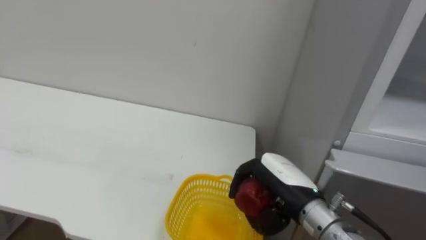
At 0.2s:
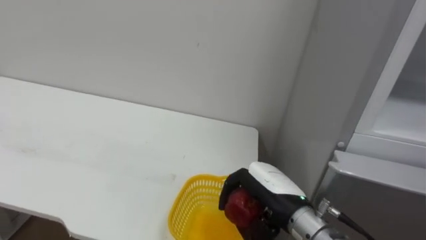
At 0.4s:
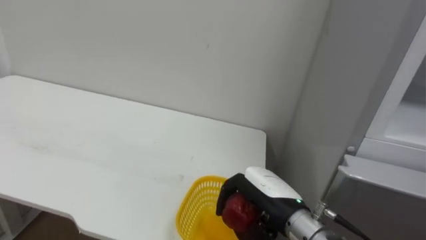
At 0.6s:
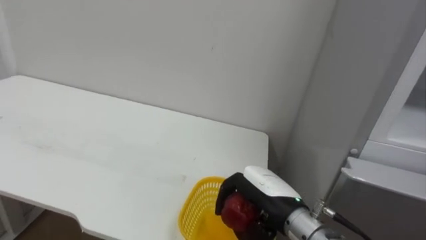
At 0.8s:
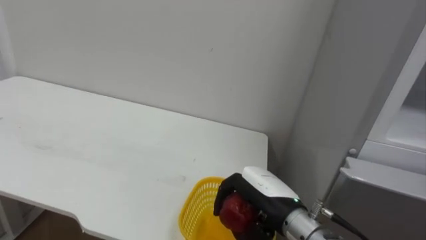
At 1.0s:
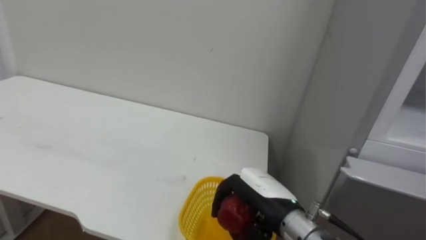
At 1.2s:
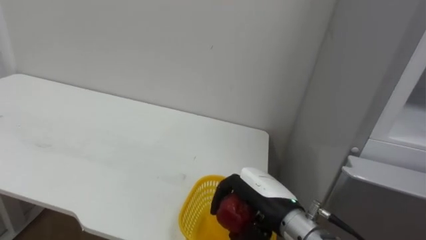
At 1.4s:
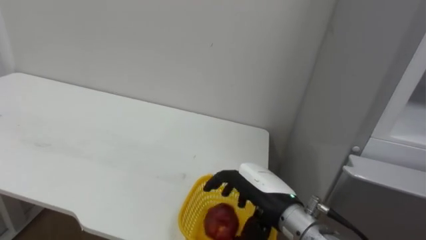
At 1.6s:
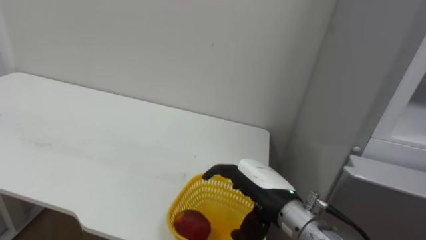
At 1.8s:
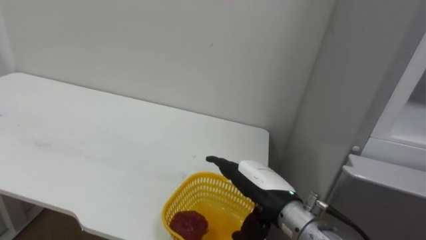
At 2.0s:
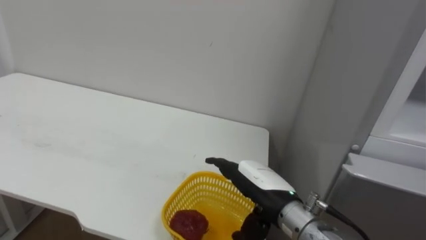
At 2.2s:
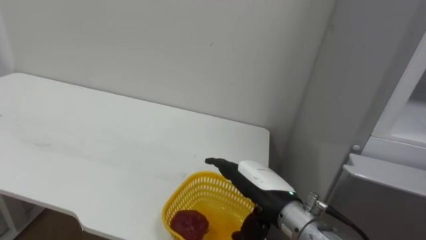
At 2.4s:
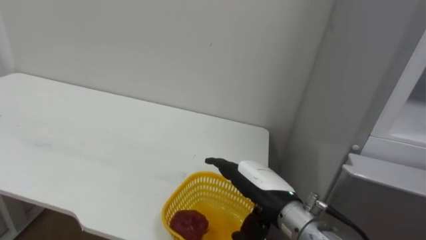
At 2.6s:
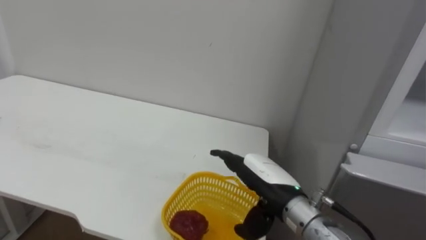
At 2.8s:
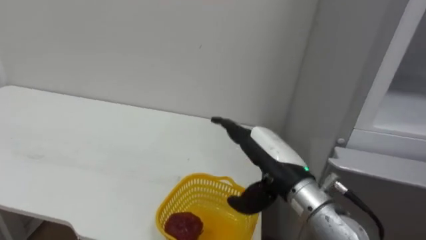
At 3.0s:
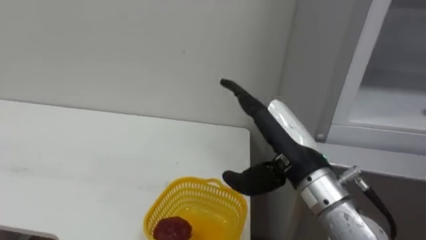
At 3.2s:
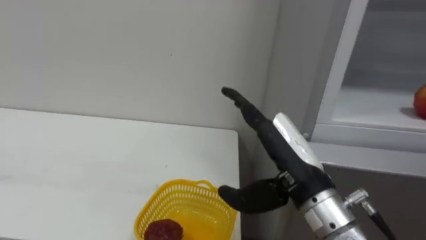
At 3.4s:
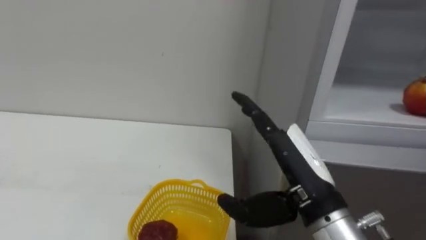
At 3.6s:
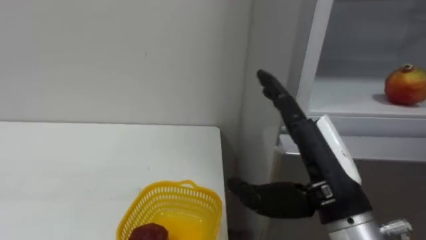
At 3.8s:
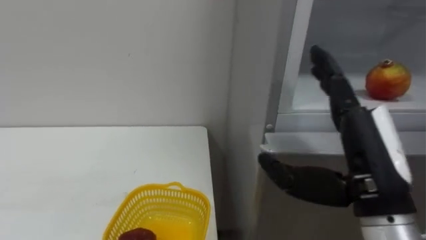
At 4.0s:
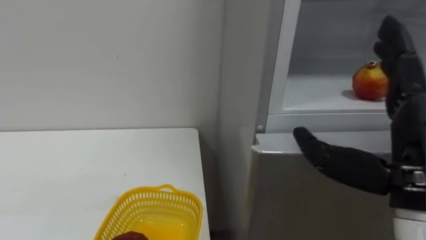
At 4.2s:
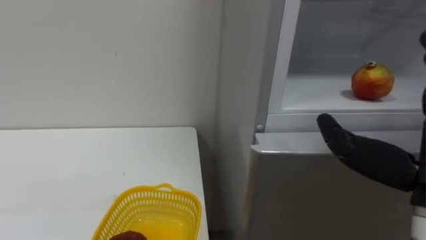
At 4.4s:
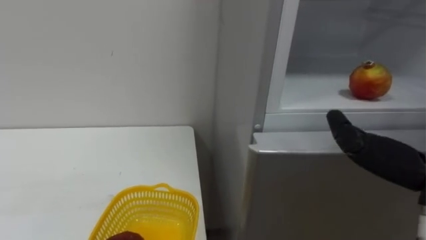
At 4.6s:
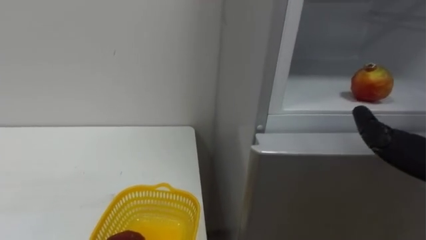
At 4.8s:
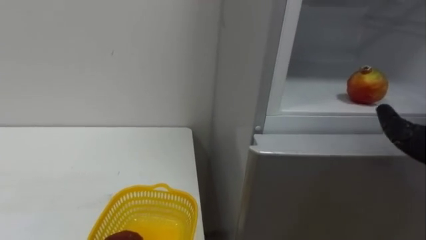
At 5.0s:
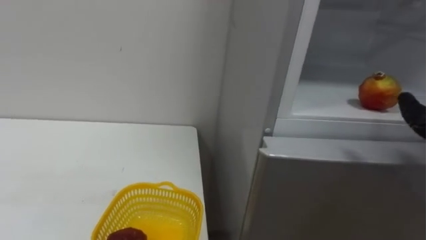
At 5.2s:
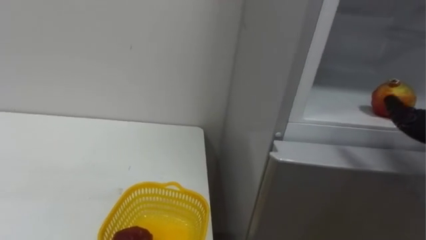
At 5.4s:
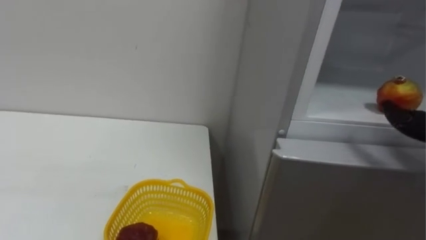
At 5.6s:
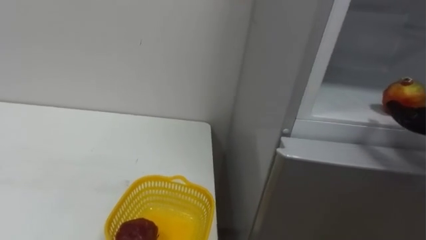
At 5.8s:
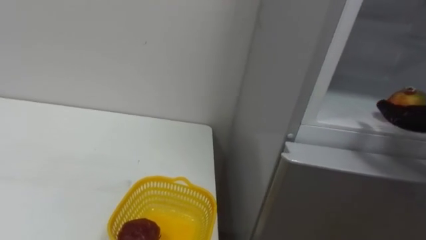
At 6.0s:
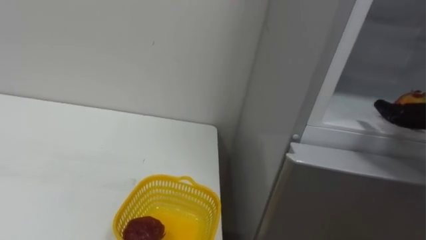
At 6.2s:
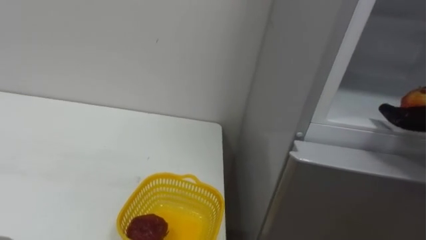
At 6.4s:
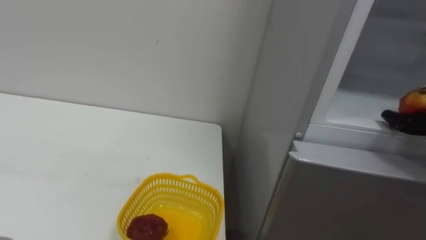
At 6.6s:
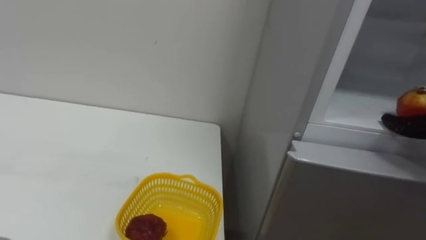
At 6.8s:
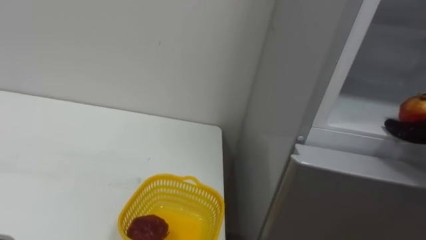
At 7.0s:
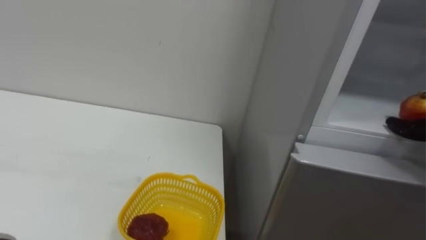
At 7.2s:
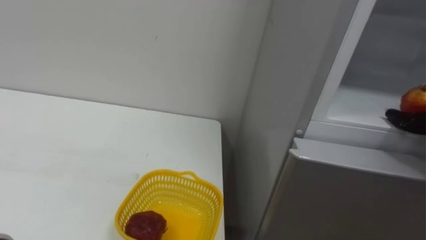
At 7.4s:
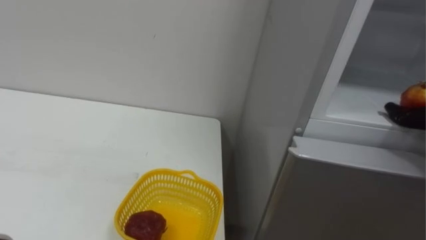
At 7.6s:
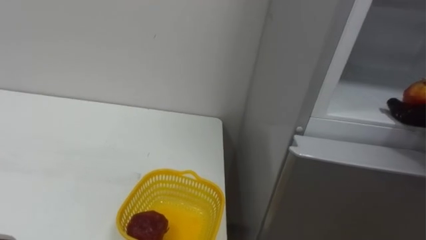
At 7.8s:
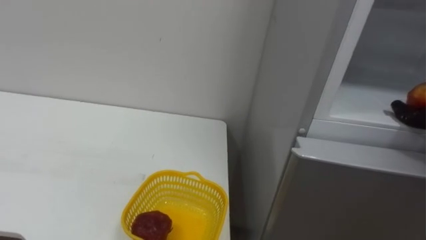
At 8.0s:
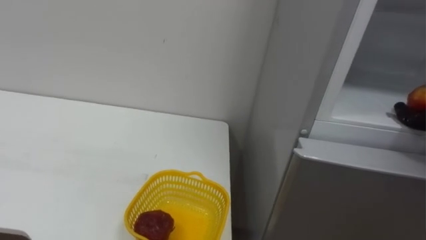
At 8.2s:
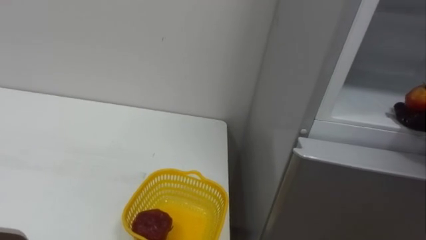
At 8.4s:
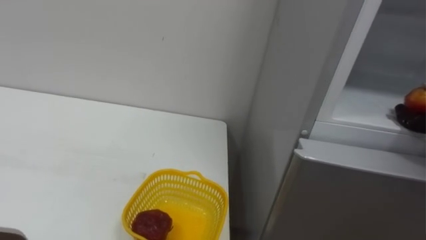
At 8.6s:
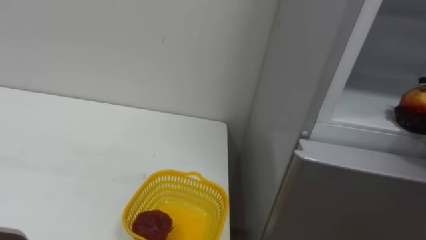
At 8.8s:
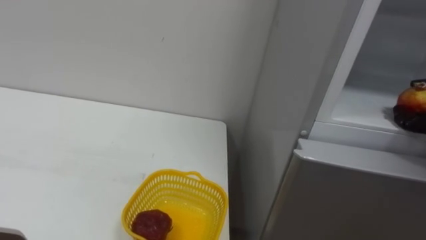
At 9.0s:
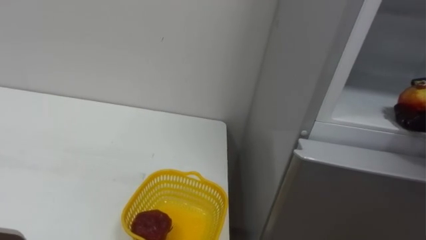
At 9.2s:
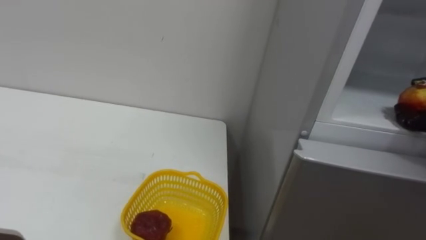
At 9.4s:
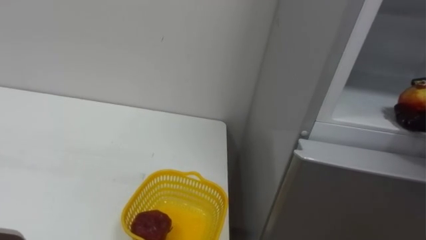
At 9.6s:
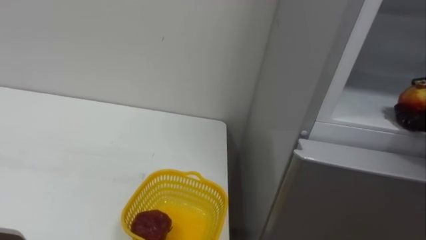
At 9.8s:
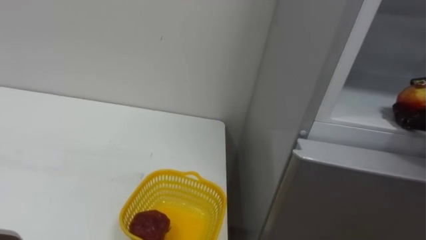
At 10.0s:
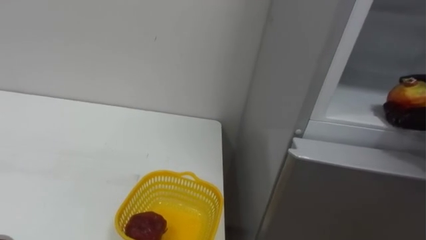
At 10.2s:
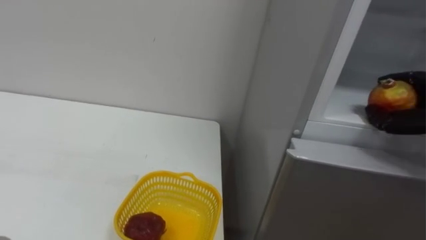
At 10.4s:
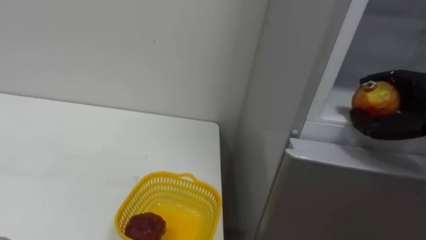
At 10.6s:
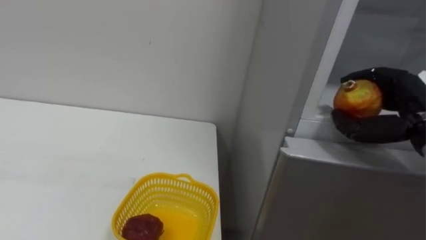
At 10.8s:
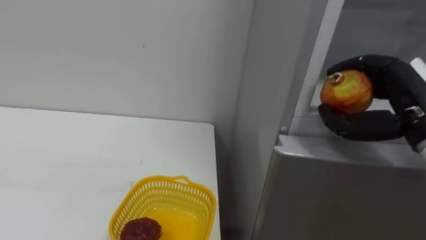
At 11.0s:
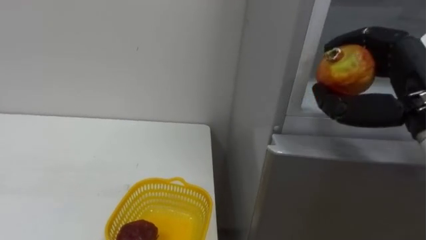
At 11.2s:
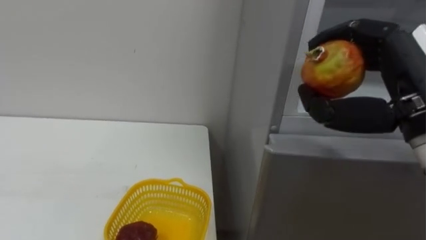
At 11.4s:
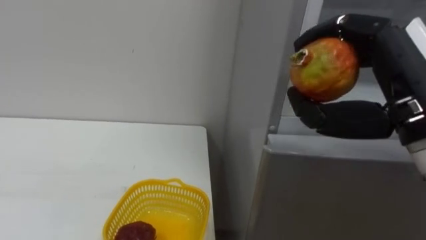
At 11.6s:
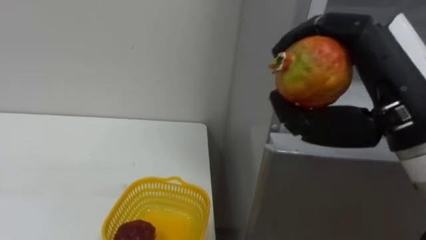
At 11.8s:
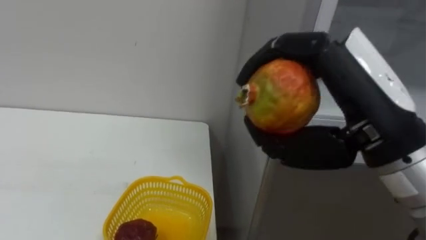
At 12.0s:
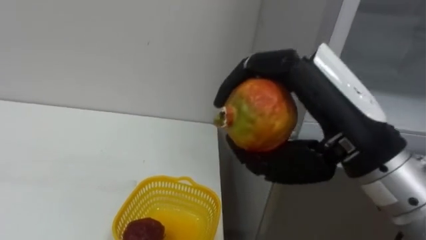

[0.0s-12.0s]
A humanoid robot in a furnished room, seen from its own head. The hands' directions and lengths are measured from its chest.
Task of the whole recording: Open the refrigerator door, take out the apple and the pomegranate, place them in the fruit basket on the left, and close the refrigerator door.
0.0s to 1.6s: The right hand opens up.
1.6s to 3.0s: The right hand moves upward, approximately 10 cm.

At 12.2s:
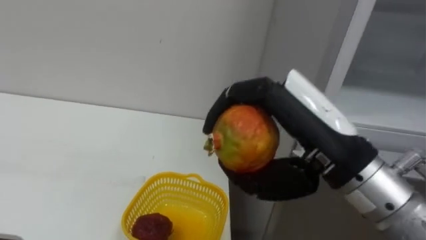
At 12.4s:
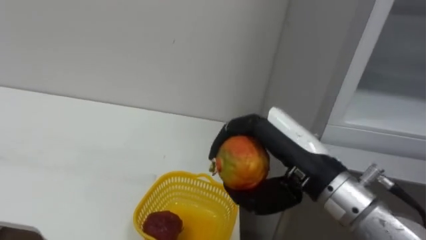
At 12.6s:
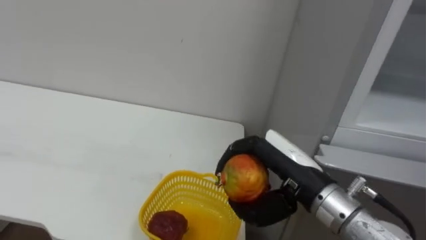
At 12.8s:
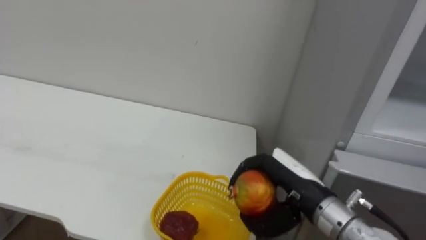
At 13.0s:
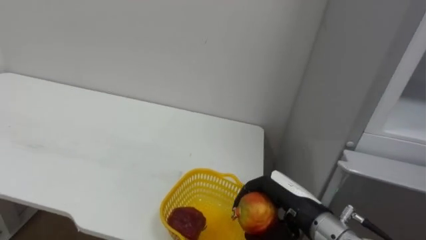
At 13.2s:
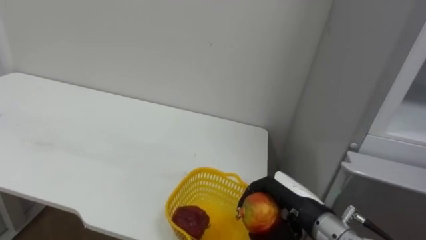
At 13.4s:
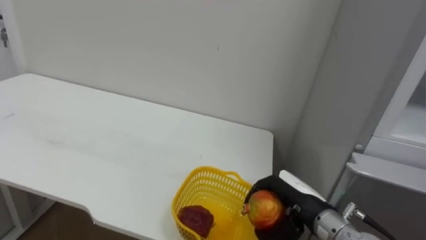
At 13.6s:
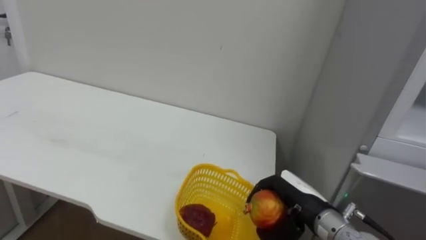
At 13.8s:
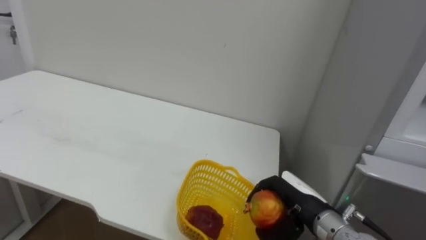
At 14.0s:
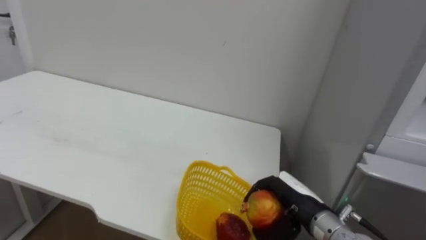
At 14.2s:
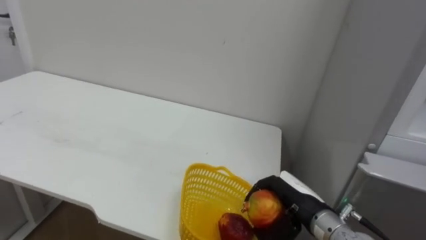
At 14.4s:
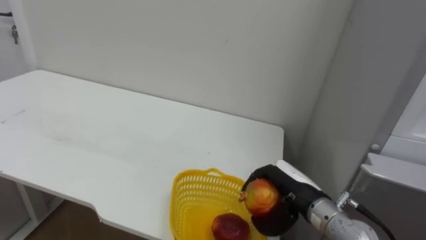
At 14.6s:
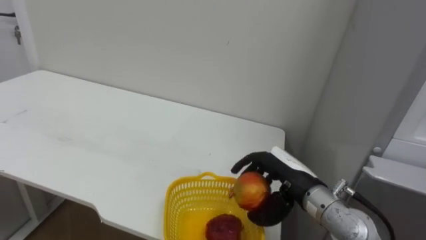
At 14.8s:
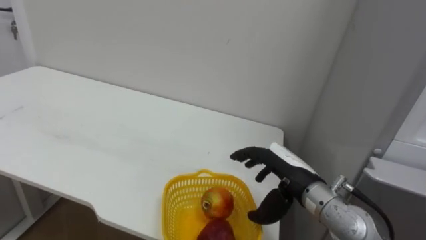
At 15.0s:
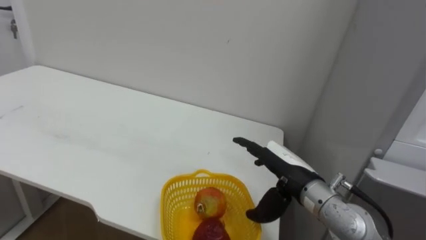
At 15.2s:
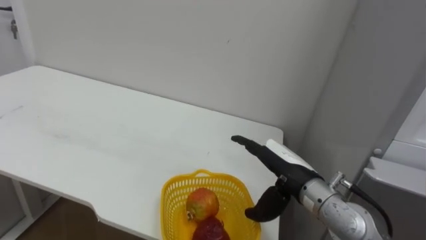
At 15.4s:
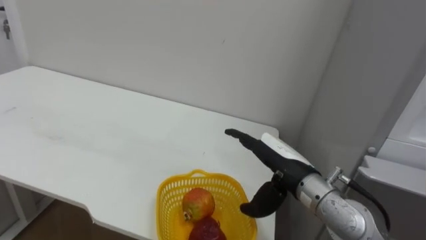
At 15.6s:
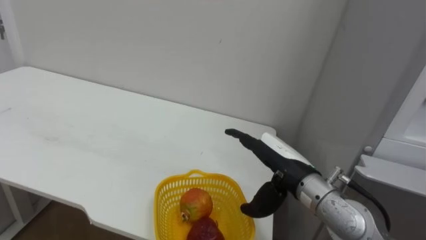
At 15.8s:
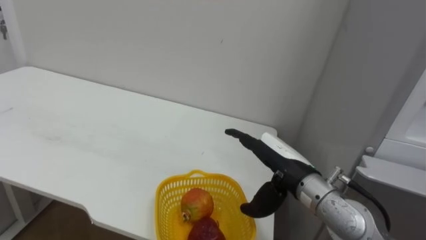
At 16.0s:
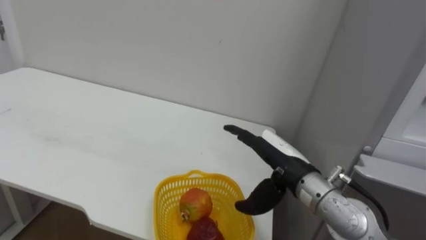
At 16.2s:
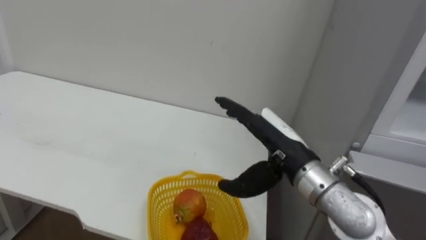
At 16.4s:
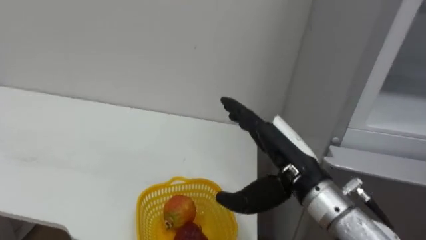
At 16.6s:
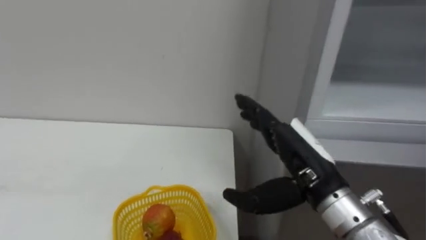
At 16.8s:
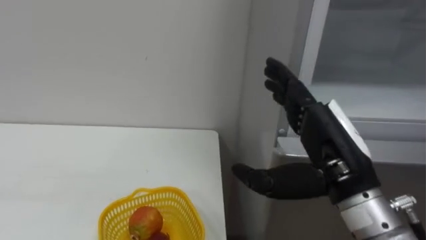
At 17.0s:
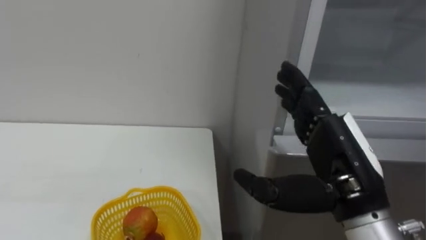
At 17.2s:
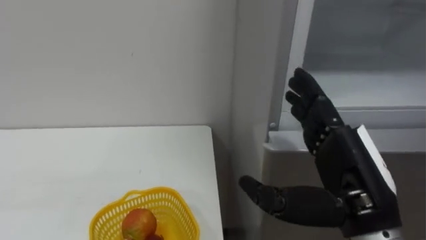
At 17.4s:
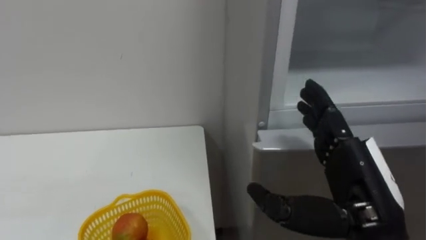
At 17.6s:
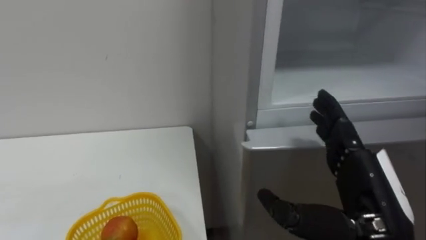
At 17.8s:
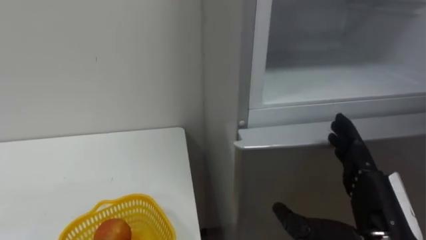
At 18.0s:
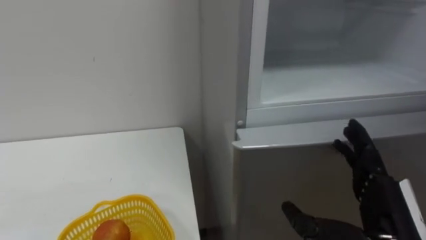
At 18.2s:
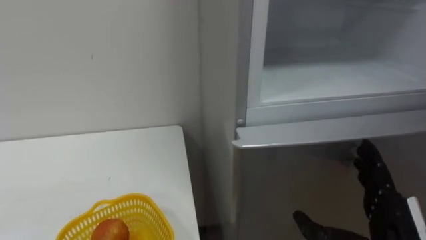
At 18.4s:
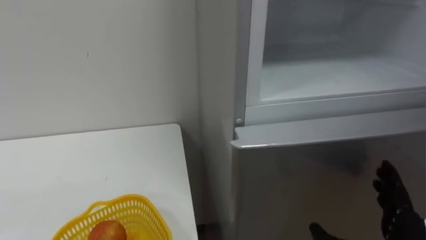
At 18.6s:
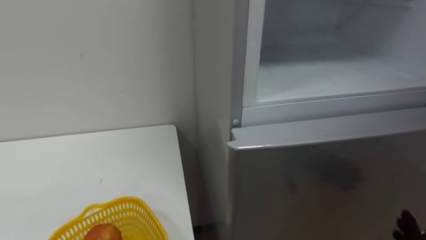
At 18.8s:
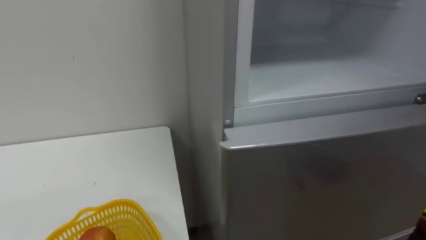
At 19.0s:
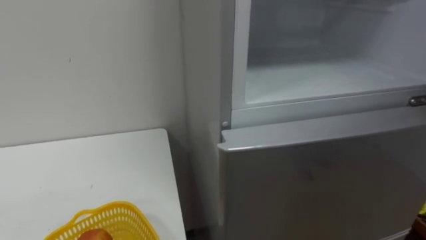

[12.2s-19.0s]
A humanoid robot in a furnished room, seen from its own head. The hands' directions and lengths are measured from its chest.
Task of the whole recording: Open the refrigerator door, take out the apple and the pomegranate, place them in the fruit basket on the left, and close the refrigerator door.
12.2s to 13.6s: The right hand shifts about 25 cm downward and forward.
13.6s to 15.0s: The right hand heads upward, covering approximately 5 cm, and opens up.
15.0s to 16.2s: The right hand heads upward, covering about 5 cm.
16.2s to 17.6s: The right hand heads backward and to the right, covering about 15 cm.
